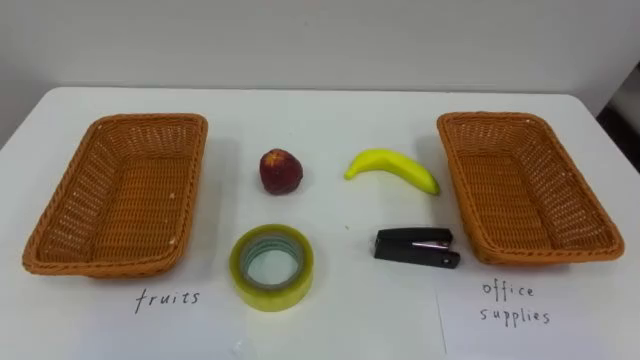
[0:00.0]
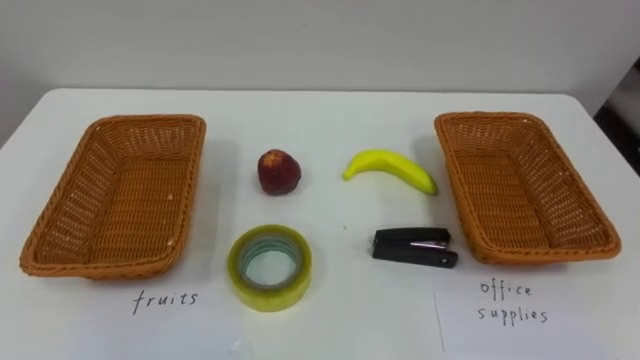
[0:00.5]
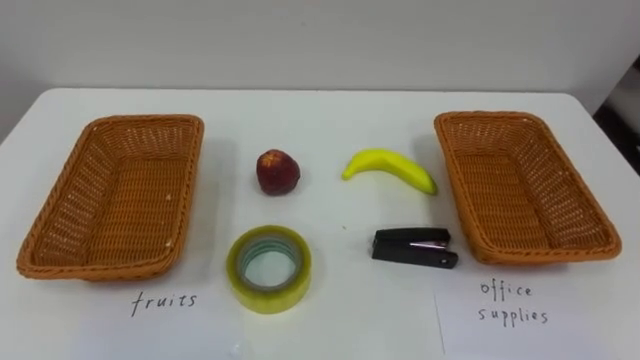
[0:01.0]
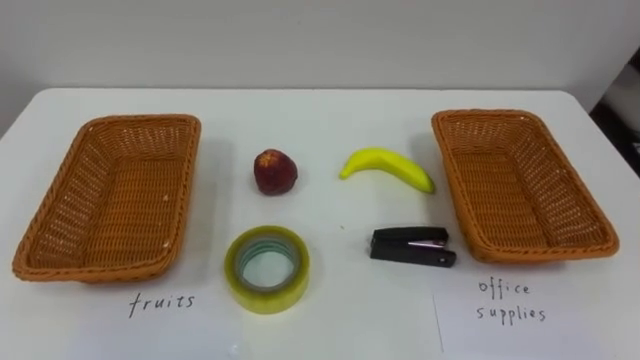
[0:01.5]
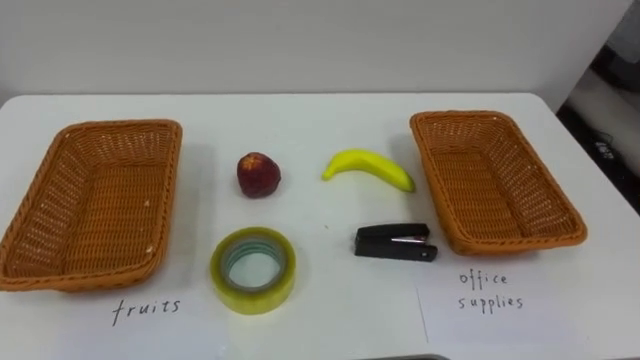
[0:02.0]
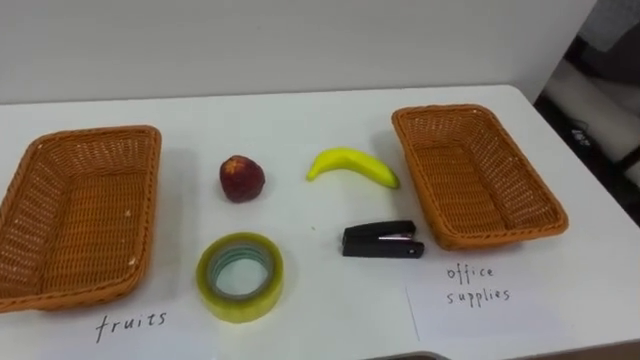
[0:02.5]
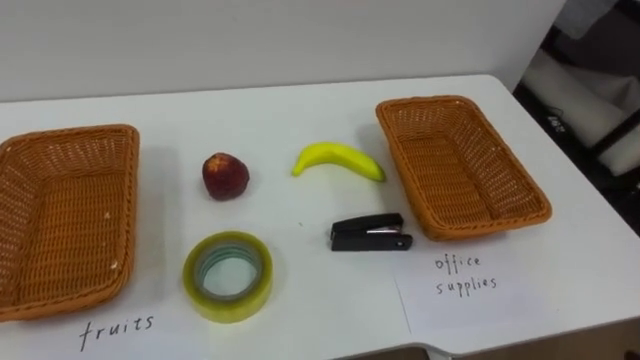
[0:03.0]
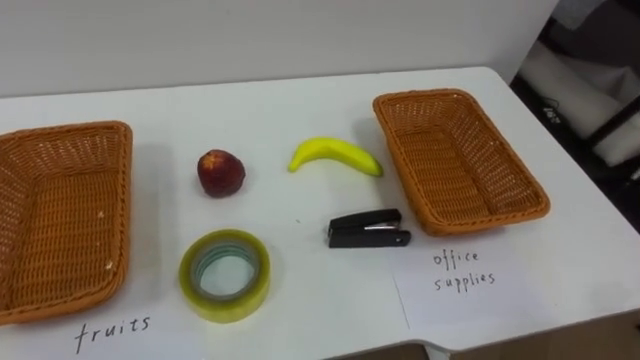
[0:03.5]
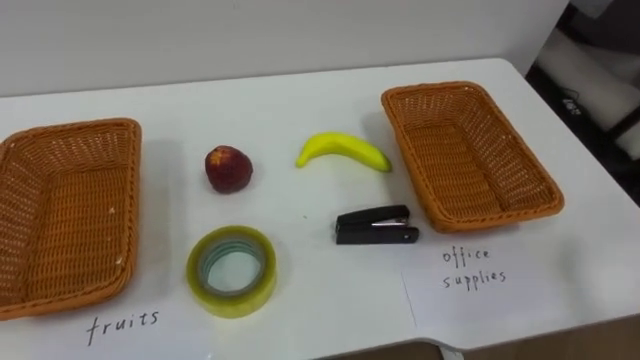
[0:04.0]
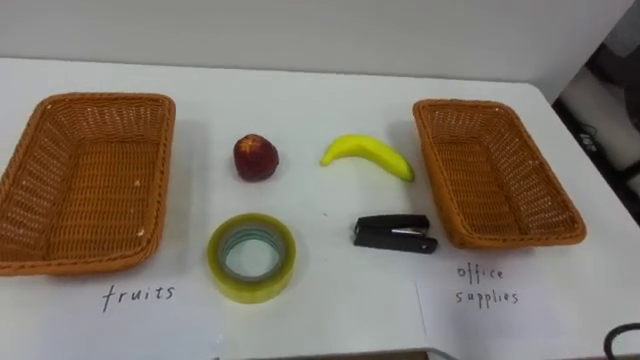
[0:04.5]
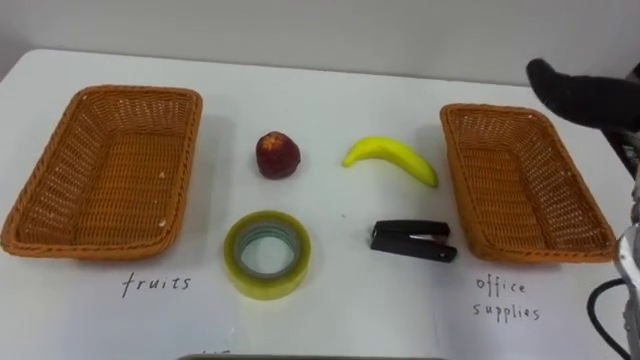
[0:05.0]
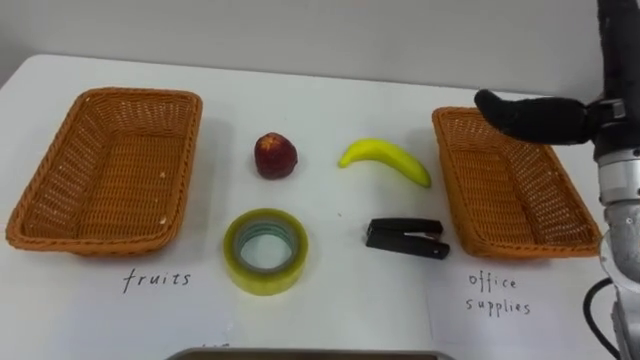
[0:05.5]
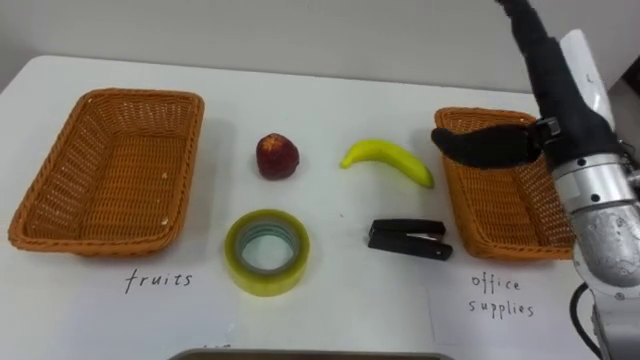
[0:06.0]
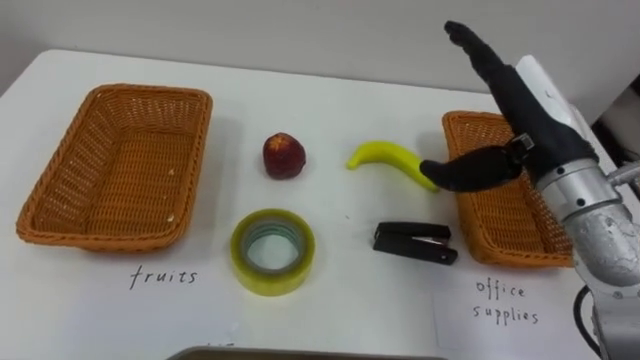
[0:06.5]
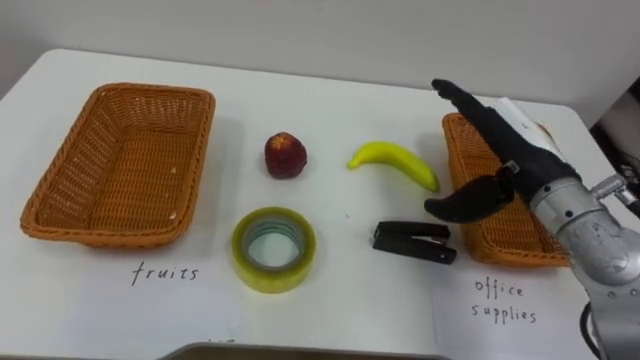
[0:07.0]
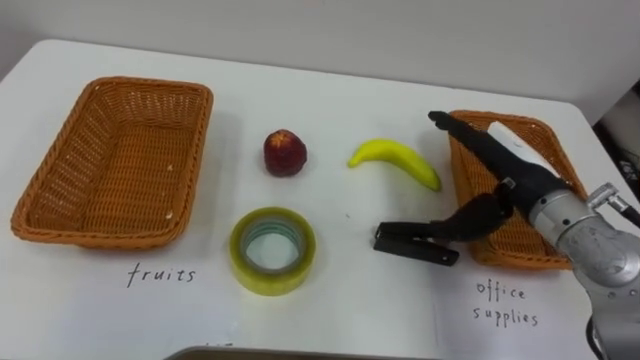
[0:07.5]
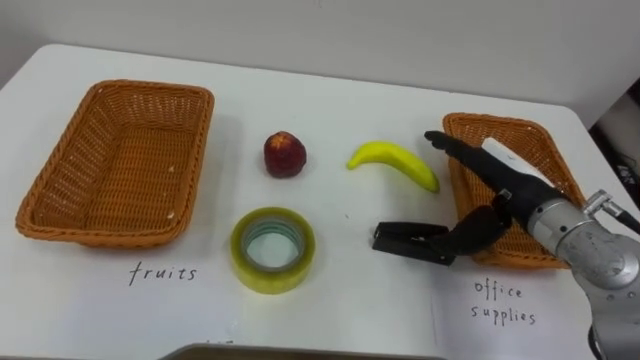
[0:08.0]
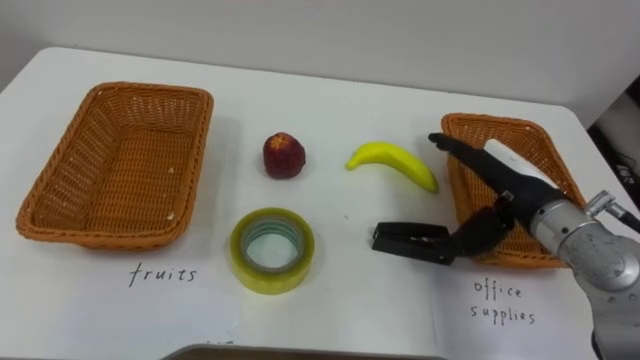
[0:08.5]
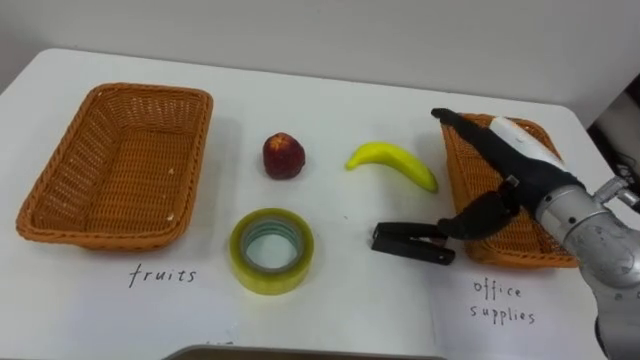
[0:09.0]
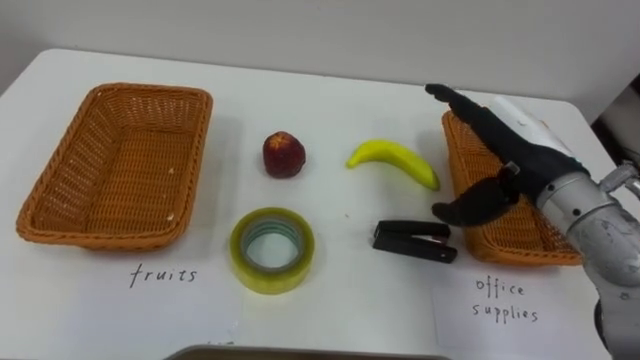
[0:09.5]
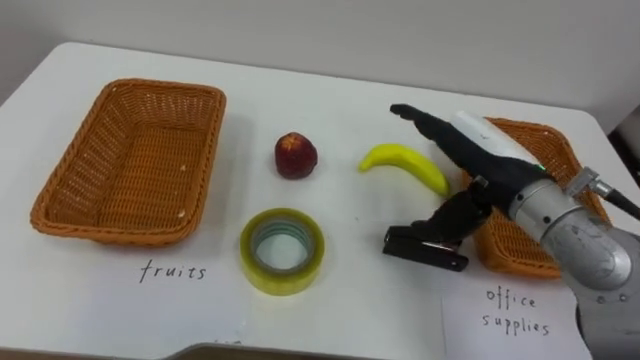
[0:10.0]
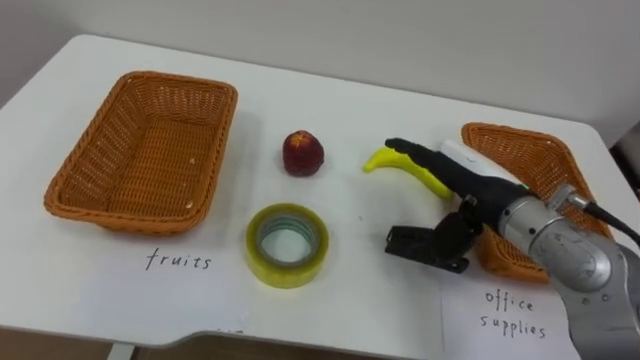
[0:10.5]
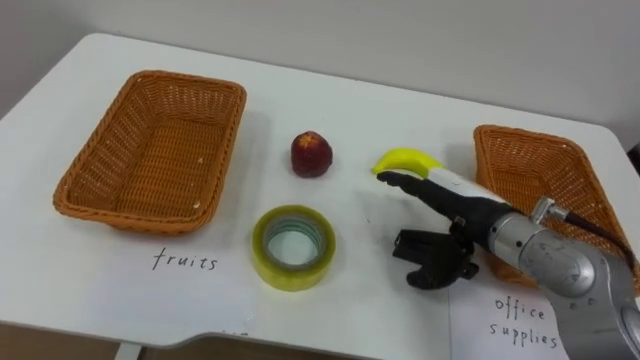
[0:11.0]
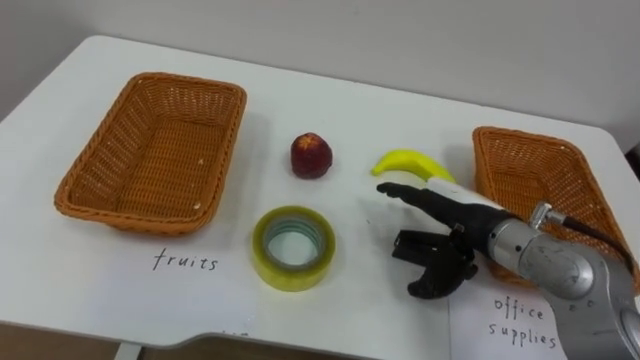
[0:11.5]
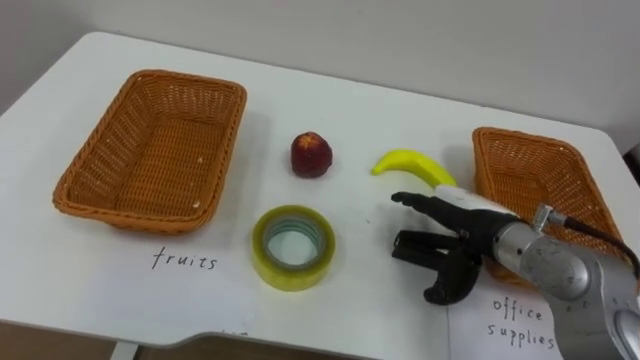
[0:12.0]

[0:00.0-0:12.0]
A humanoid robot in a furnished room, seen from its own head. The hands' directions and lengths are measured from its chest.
Task of the whole recording: Separate the items on the table and place them into the two baskets.
0:06.0 to 0:08.0: The right hand shifts about 10 cm downward.
0:08.0 to 0:10.0: The right hand heads upward, covering roughly 5 cm.
0:10.0 to 0:12.0: The right hand moves downward, some 10 cm.

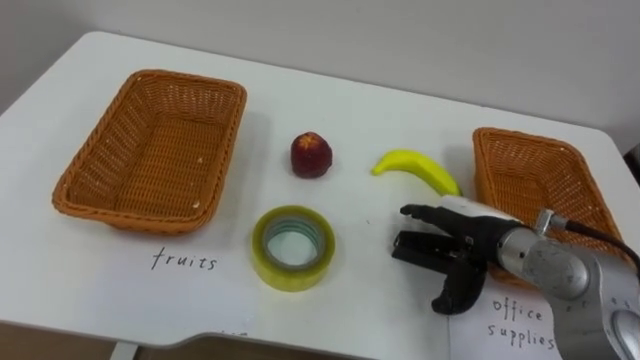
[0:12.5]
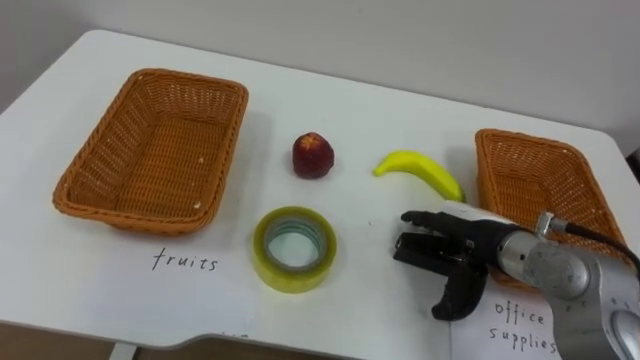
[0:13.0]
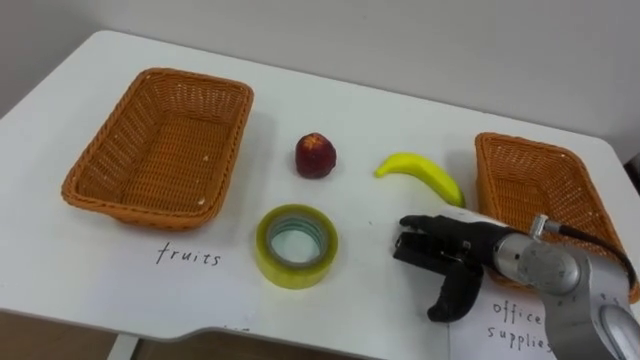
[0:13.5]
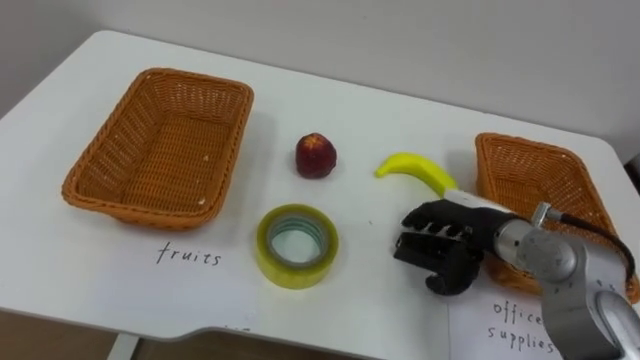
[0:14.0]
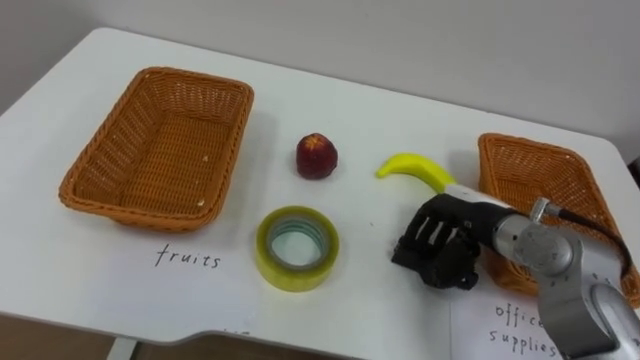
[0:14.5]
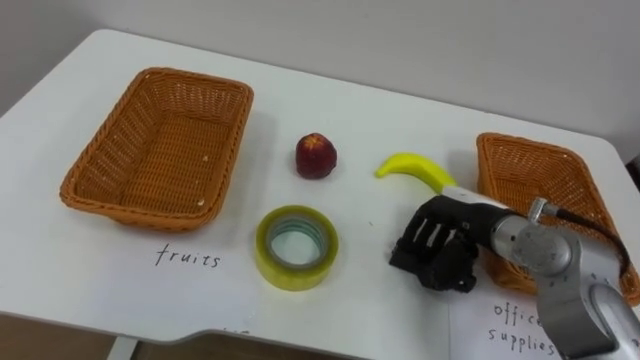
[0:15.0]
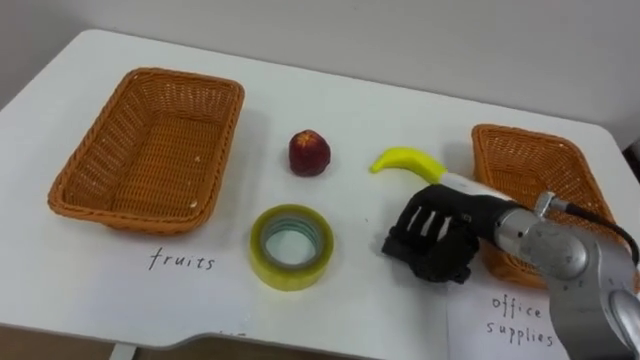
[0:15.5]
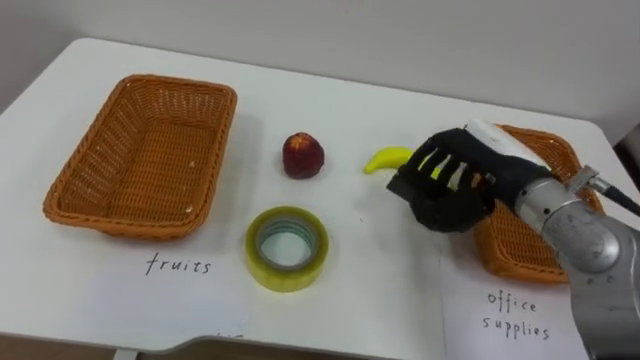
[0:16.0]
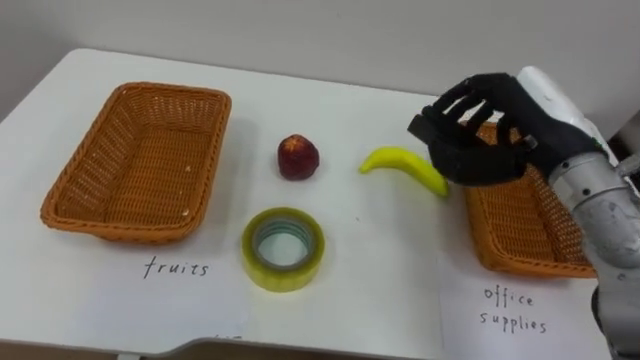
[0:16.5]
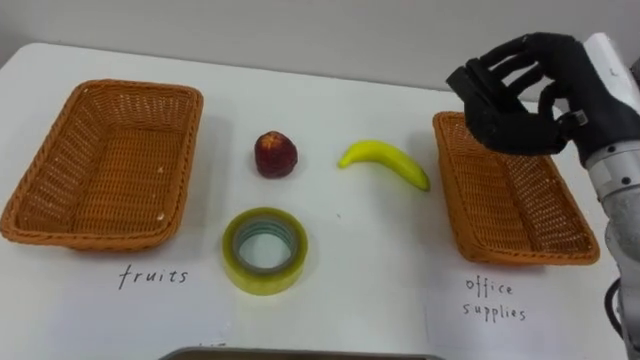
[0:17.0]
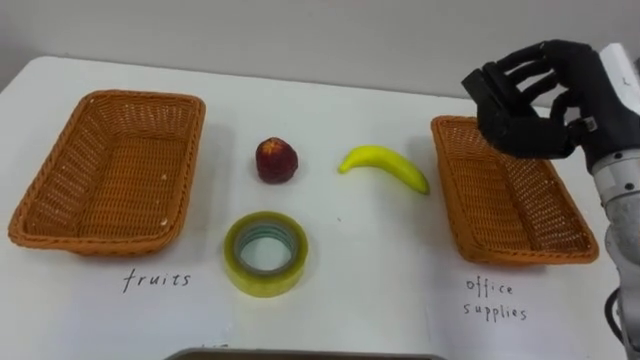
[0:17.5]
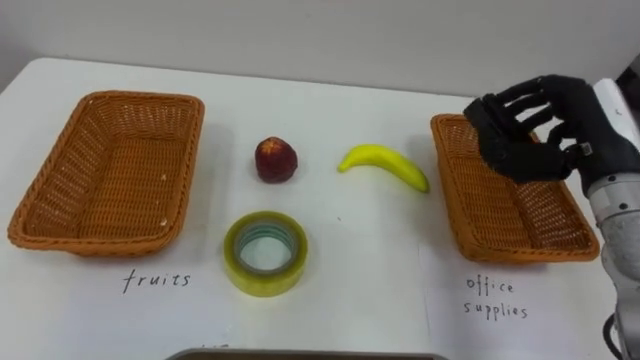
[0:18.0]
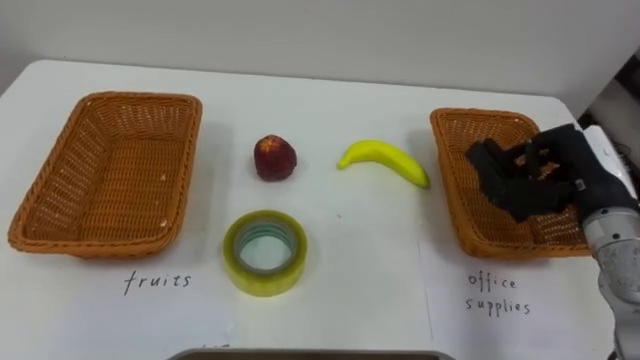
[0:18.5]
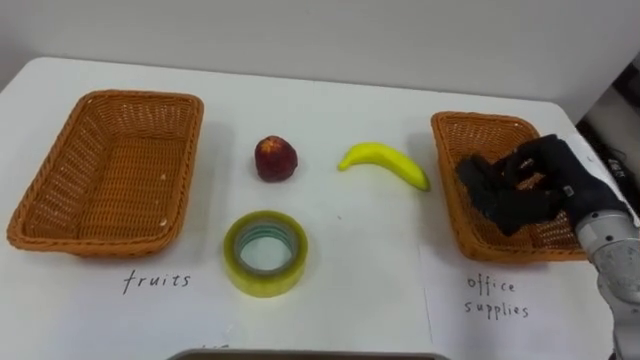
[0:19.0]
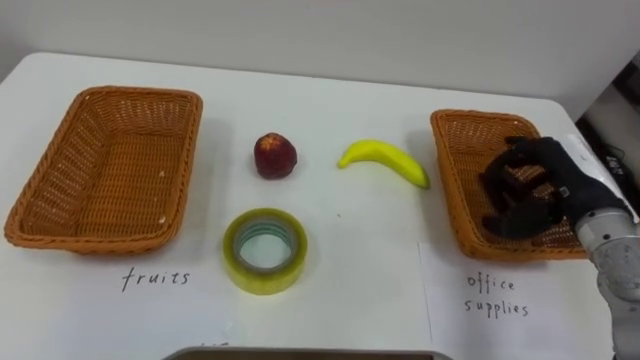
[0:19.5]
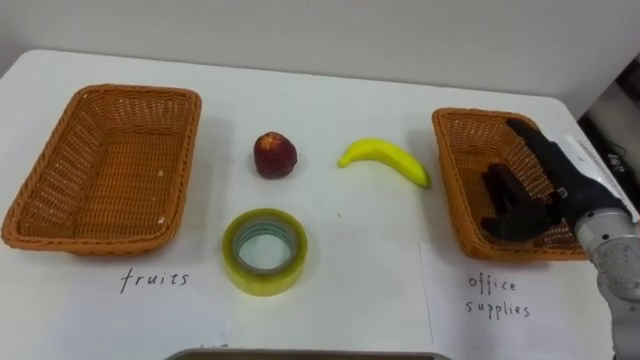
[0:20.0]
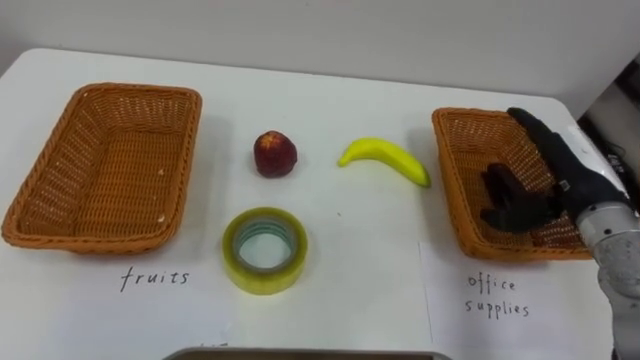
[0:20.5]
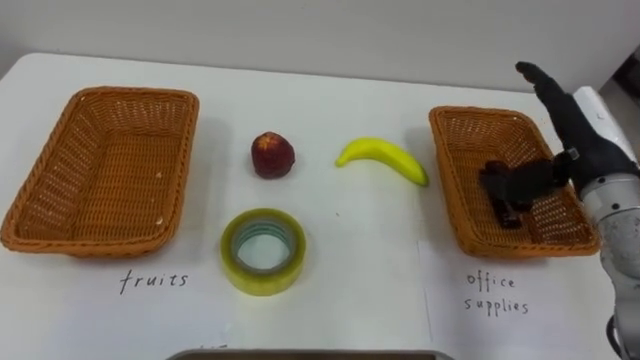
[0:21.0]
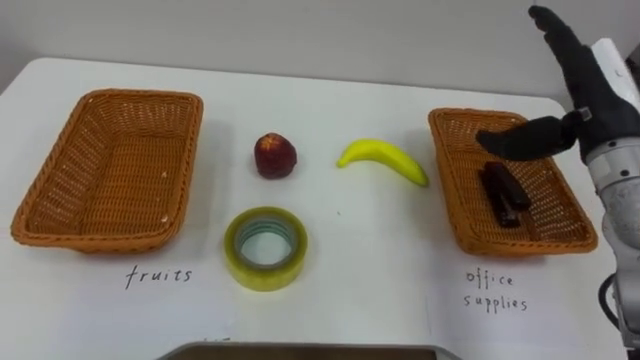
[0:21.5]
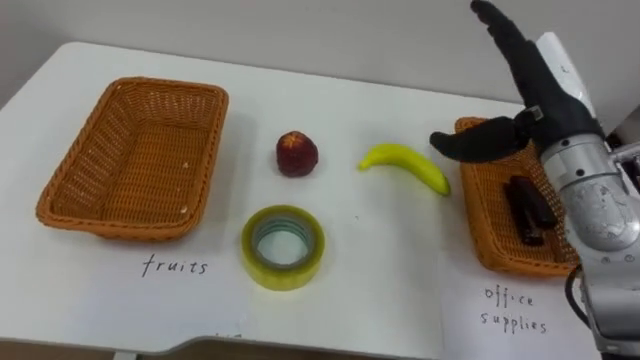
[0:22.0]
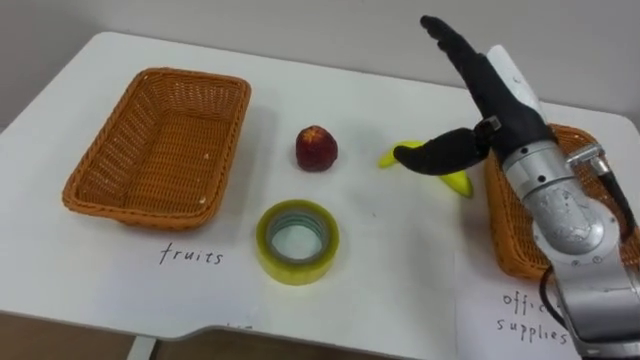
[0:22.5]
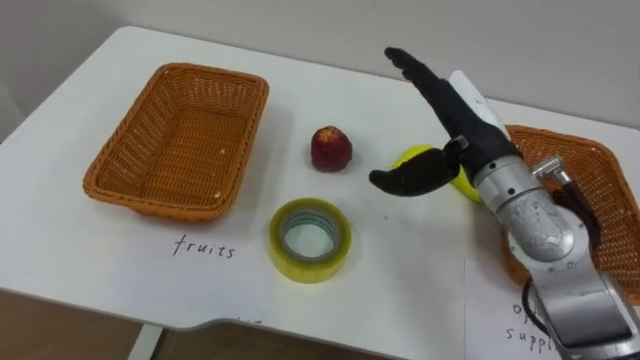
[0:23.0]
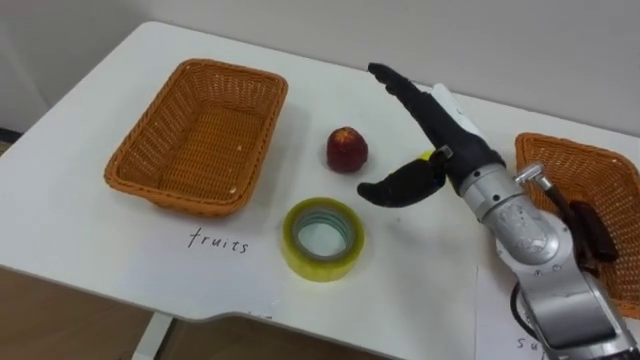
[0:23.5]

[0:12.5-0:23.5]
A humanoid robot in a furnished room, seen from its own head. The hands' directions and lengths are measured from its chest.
Task of the whole recording: Separate the items on the table and place them into the two baskets.
0:12.5 to 0:14.5: The right hand closes its fingers.
0:14.5 to 0:16.0: The right hand goes roughly 10 cm upward.
0:16.0 to 0:18.0: The right hand heads to the right, covering some 10 cm.
0:18.0 to 0:20.0: The right hand is displaced downward by roughly 5 cm, and opens up.
0:20.0 to 0:21.5: The right hand is displaced upward by about 10 cm.
0:21.5 to 0:23.5: The right hand travels to the left by about 15 cm.
